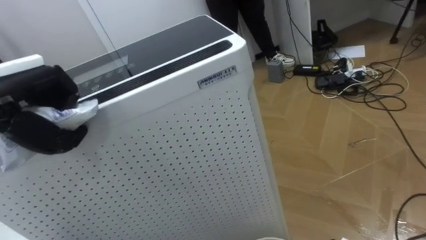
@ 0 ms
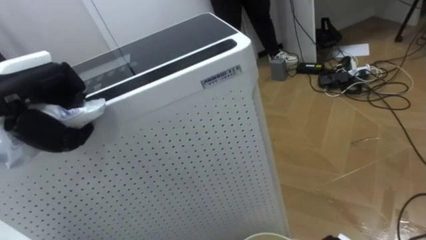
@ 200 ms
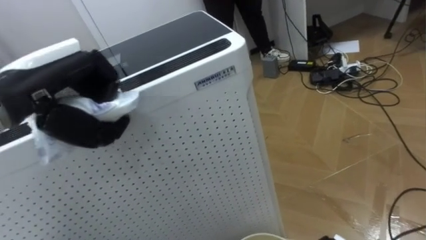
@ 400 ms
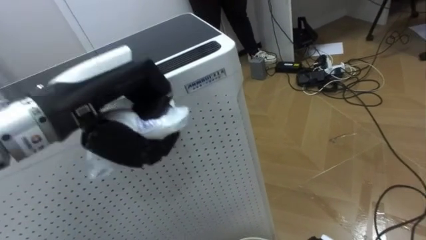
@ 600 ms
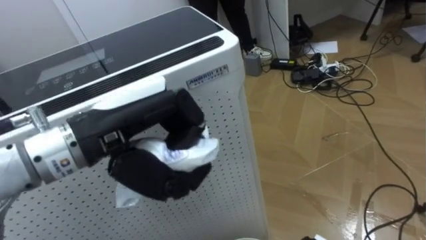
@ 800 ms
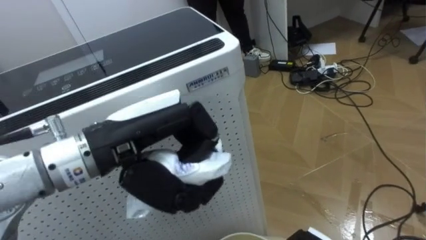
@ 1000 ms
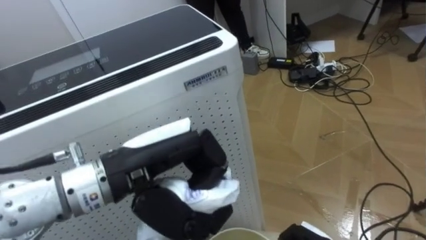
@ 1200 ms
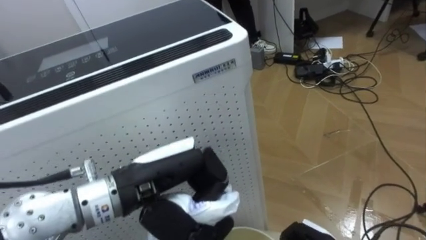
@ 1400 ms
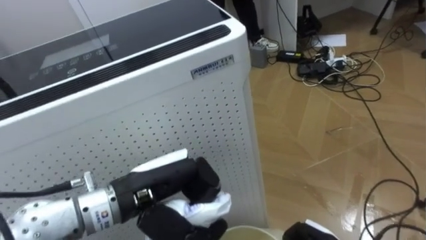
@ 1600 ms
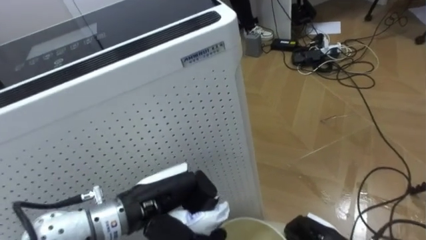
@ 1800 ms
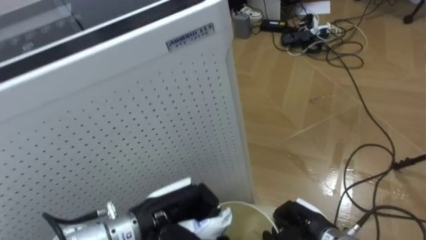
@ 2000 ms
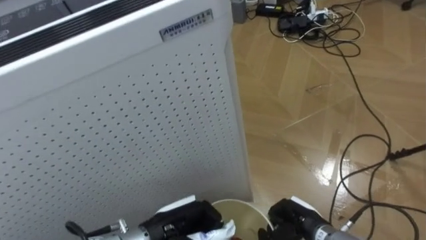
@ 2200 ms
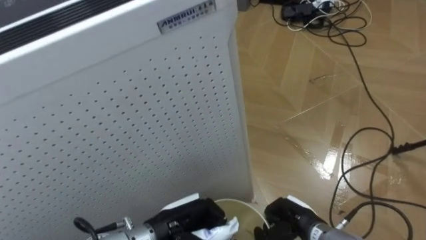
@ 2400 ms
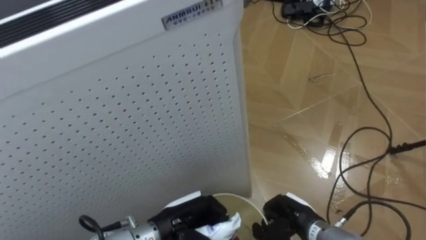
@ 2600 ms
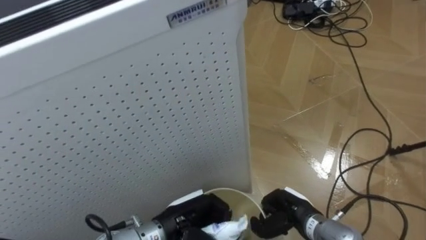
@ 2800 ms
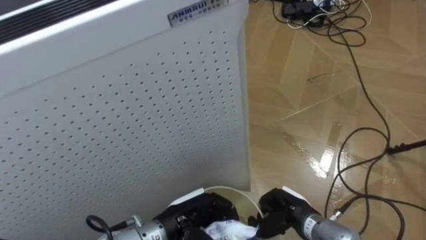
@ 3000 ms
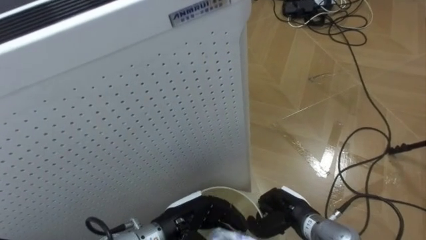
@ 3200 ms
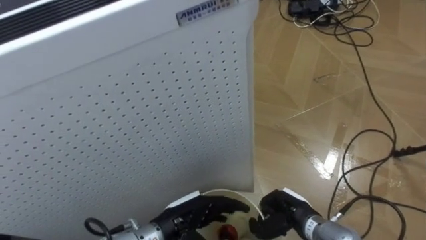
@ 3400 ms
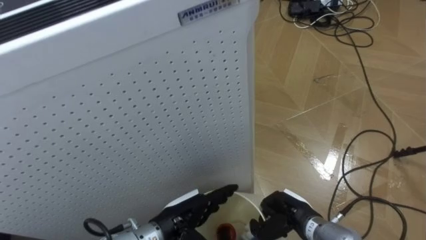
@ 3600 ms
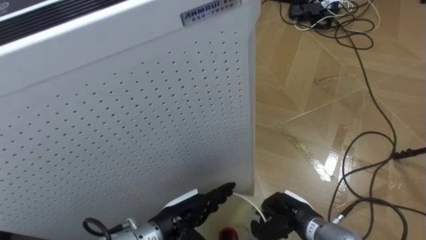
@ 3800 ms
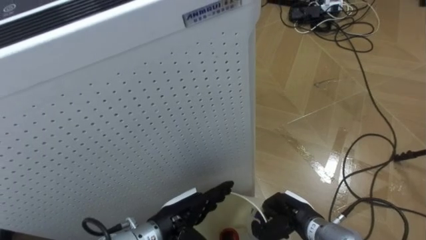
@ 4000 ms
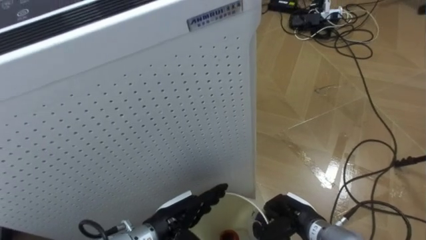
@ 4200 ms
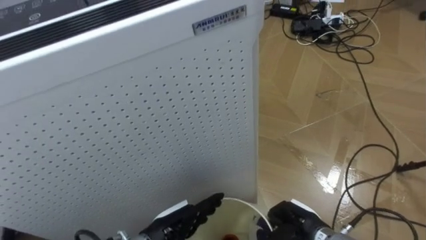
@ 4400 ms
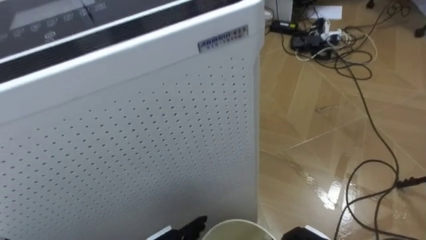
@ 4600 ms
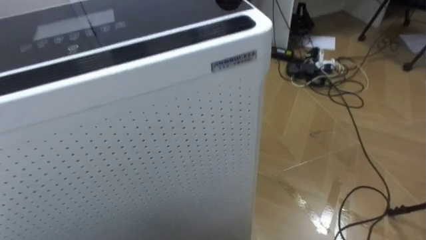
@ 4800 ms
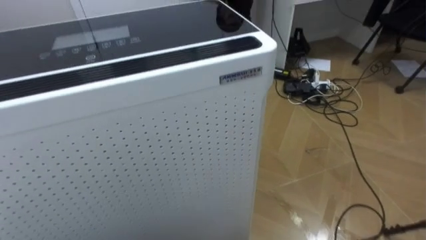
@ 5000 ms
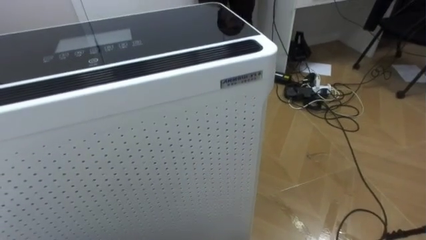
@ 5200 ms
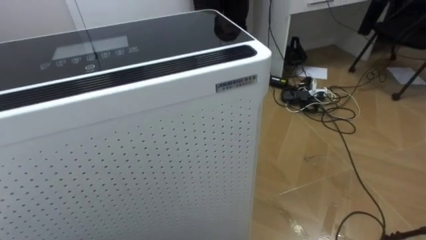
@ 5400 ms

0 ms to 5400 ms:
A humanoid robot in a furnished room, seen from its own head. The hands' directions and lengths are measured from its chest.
Task of the whole recording: Pick up the light blue package, the candy box, and the dark blue package separately, and put them into the trash can held in your right hand.
0 ms to 1400 ms: The left hand moves to the right and downward, some 20 cm.
1400 ms to 2800 ms: The left hand travels downward by about 15 cm.
2800 ms to 4000 ms: The left hand opens its fingers.

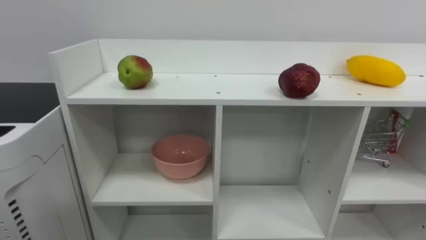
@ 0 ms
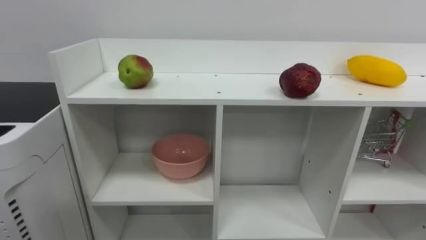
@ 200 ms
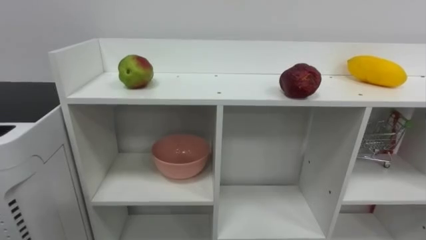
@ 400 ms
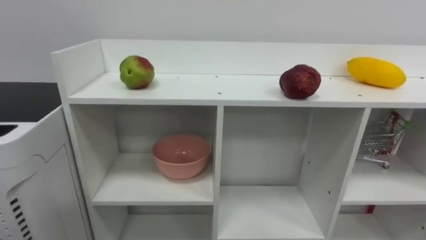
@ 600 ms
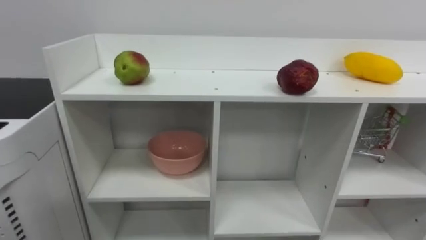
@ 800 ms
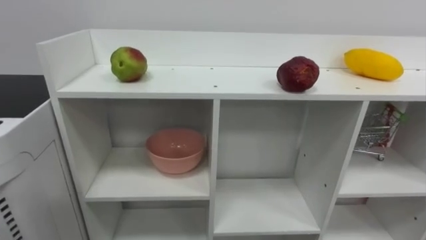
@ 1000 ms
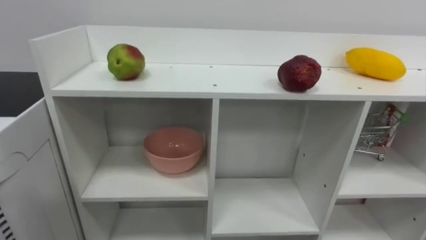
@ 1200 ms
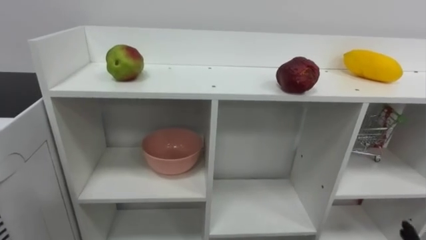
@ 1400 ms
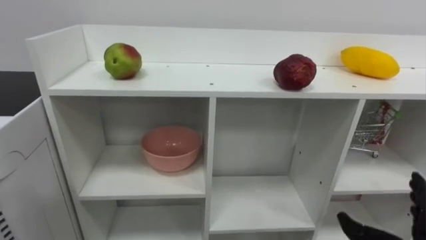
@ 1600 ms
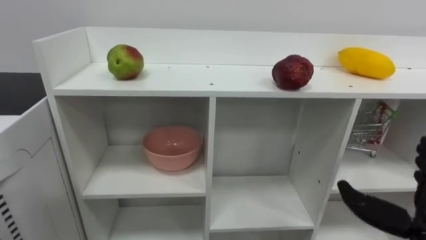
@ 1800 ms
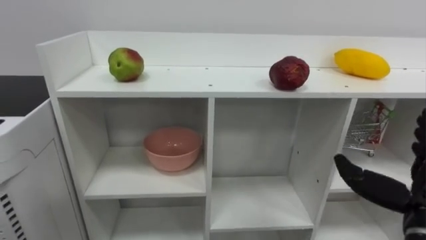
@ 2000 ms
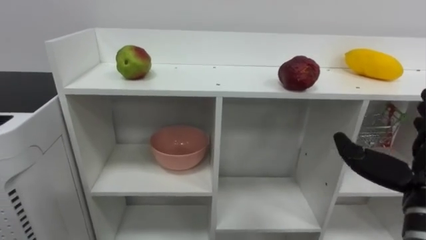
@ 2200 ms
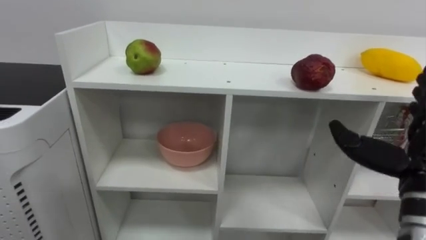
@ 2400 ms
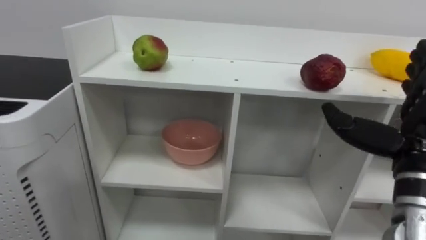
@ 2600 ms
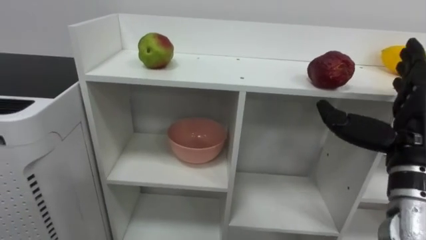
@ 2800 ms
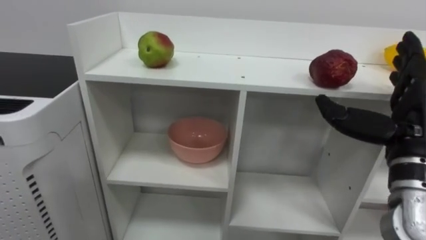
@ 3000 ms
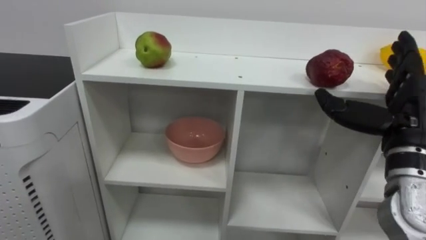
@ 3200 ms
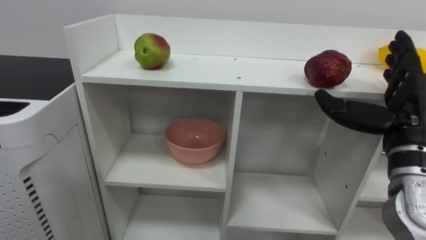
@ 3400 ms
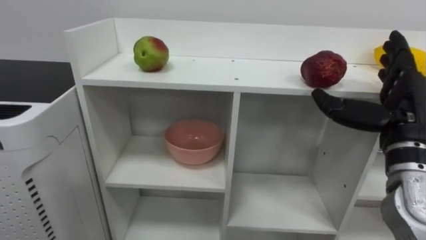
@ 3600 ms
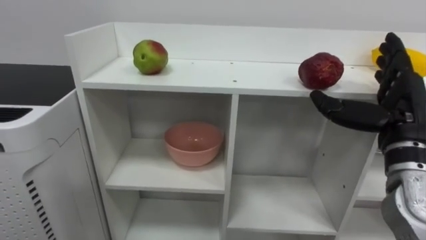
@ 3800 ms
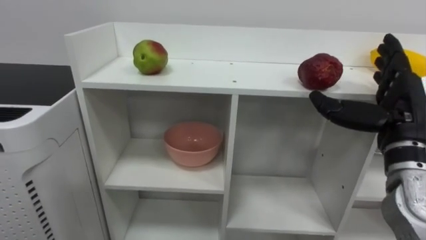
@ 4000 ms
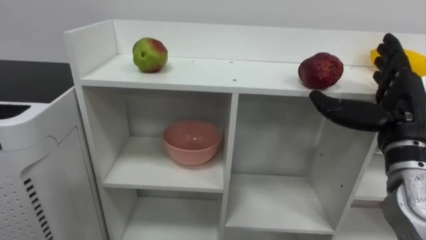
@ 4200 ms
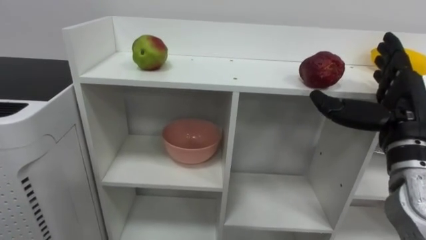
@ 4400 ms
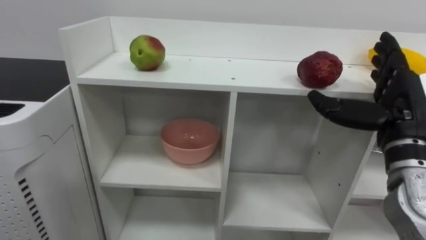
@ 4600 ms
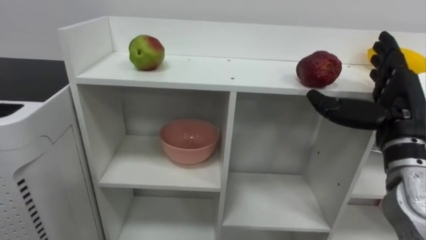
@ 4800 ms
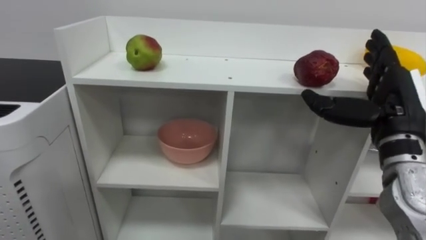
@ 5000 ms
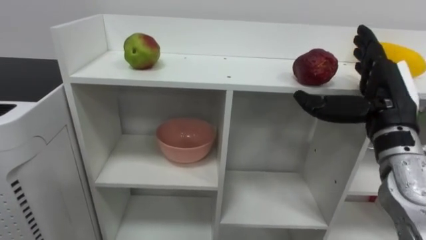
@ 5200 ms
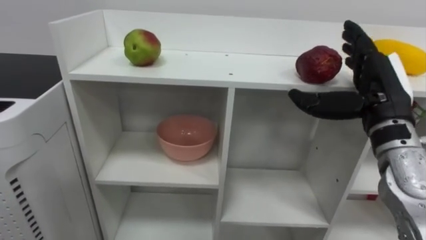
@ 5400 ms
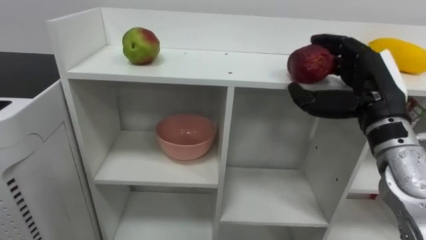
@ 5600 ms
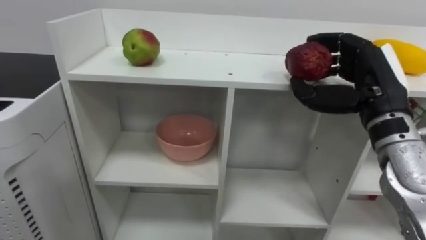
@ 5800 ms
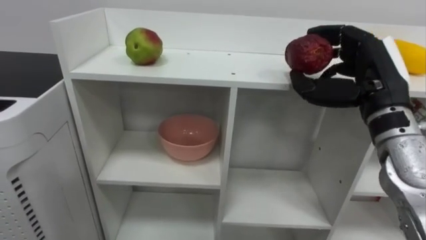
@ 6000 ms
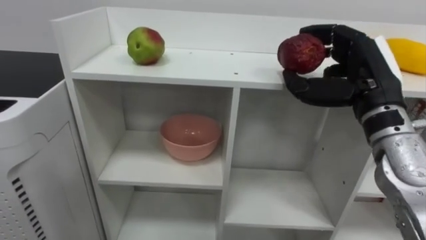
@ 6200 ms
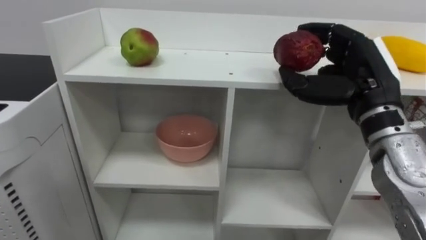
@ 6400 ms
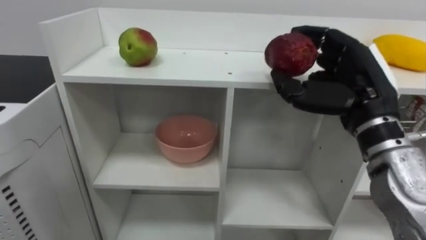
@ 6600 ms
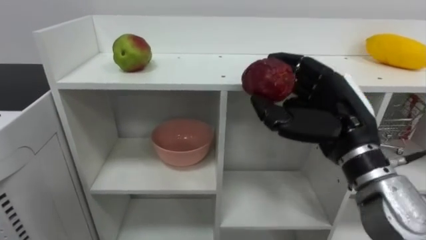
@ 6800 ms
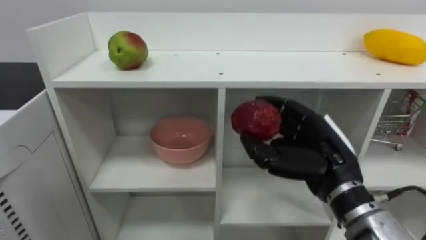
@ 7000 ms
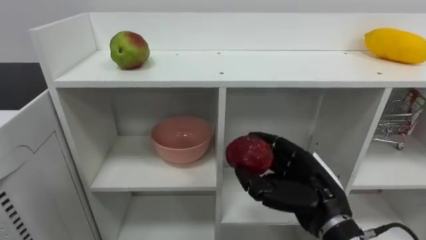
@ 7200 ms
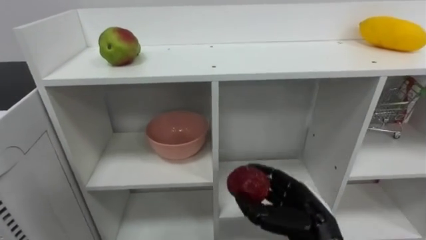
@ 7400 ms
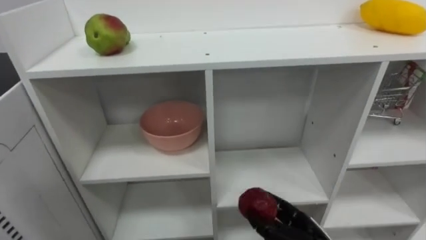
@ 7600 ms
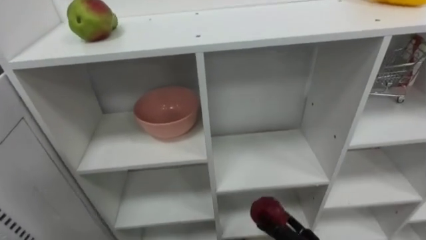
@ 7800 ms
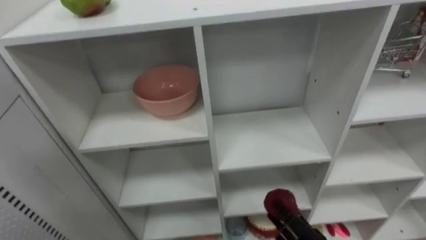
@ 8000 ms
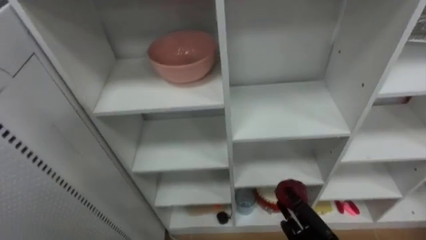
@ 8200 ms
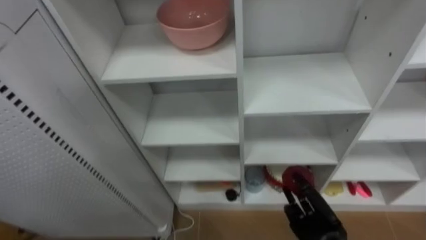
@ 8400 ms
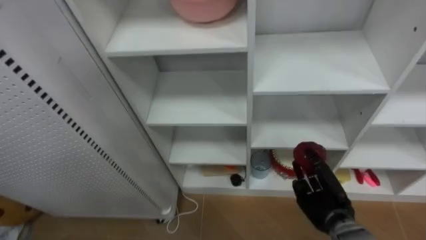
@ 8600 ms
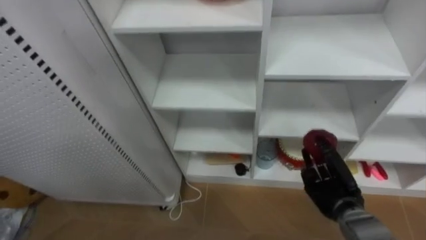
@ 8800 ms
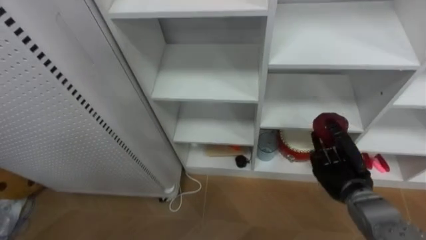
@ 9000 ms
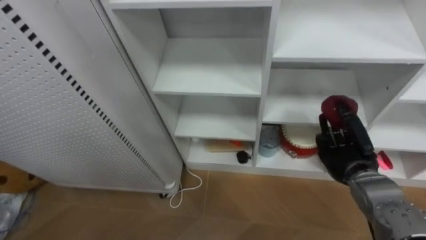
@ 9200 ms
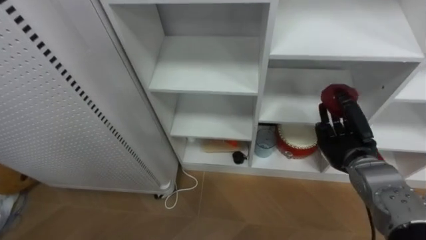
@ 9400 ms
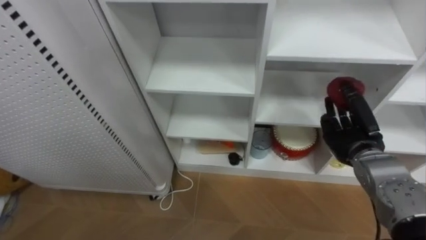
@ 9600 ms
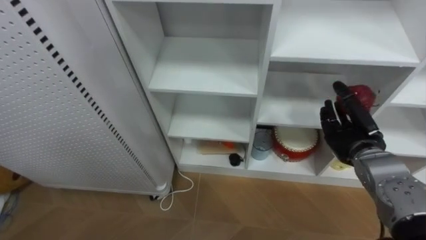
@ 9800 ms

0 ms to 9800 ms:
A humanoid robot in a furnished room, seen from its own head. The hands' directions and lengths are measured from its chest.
Task of the whole recording: Put the apple in the cell in the second column from the left and the second row from the top.
5600 ms to 7000 ms: The right hand moves to the left and downward, some 10 cm.
8400 ms to 9800 ms: The right hand heads upward and forward, covering roughly 20 cm.

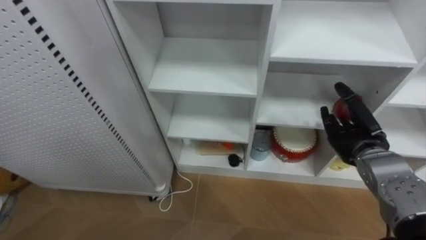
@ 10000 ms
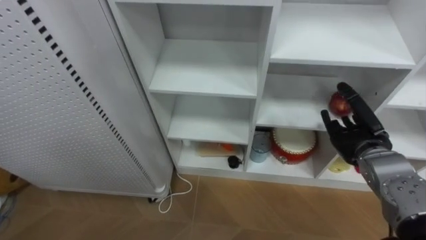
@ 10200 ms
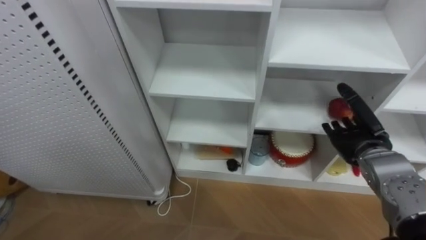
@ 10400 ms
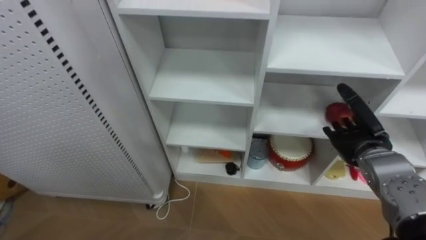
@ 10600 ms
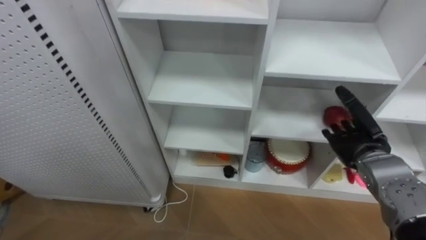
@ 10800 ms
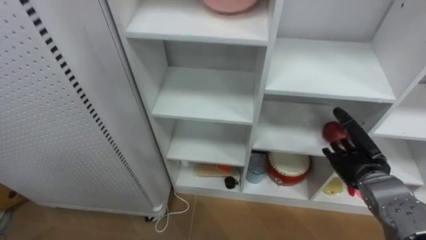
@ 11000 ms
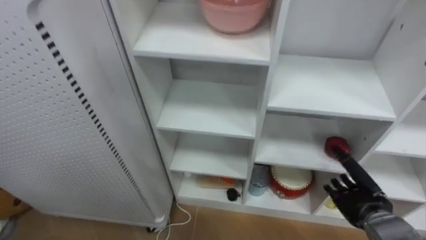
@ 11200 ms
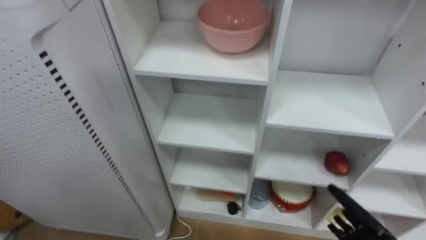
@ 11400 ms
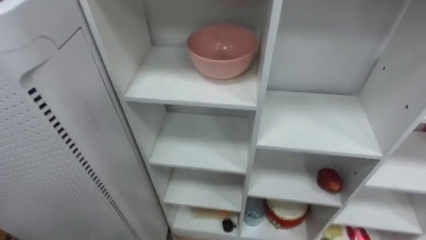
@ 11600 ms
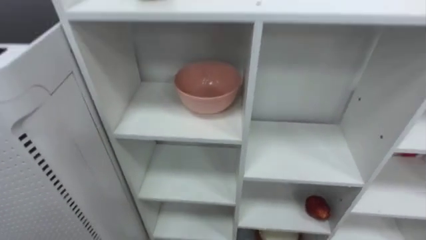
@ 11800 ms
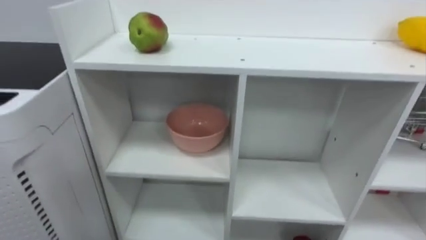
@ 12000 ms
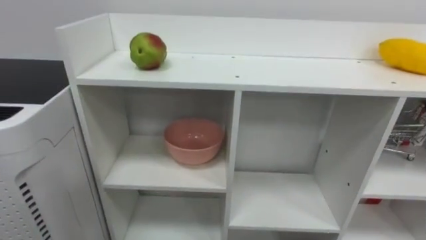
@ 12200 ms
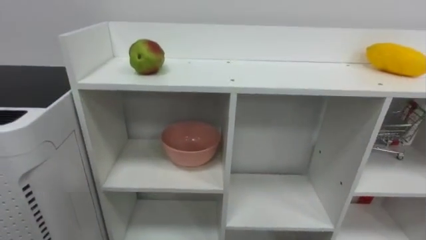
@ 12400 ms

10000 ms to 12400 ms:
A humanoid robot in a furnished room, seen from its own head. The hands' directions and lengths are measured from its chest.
Task of the whole recording: Put the apple in the cell in the second column from the left and the second row from the top.
10000 ms to 11200 ms: The right hand moves downward, roughly 10 cm.
